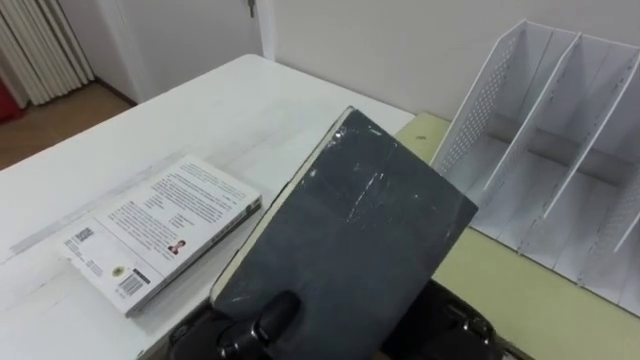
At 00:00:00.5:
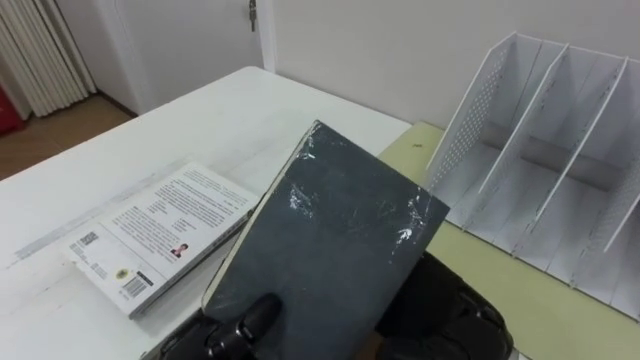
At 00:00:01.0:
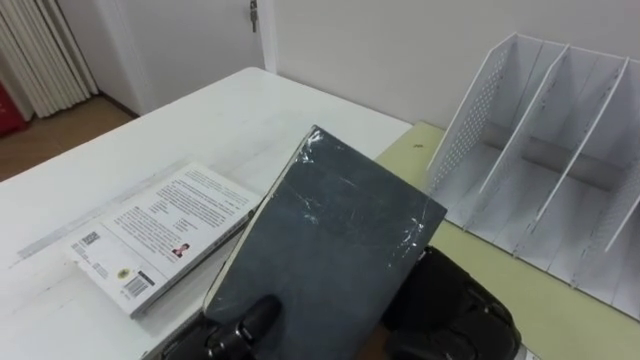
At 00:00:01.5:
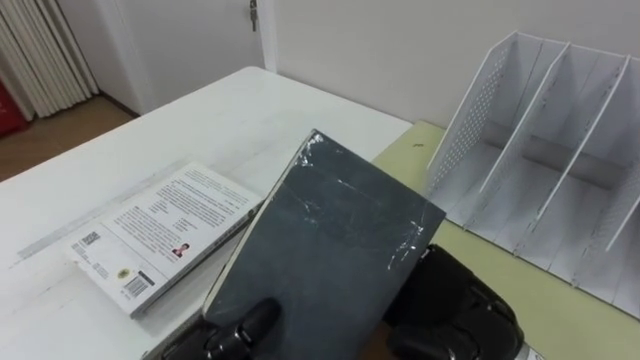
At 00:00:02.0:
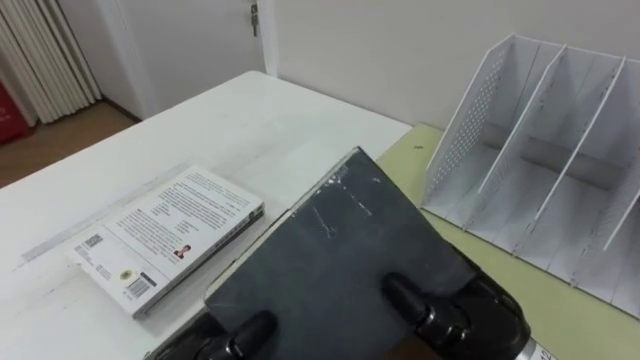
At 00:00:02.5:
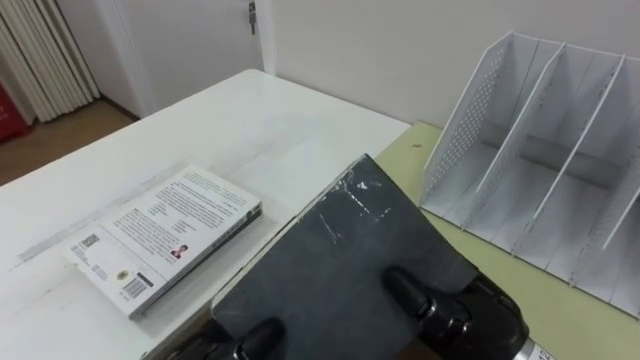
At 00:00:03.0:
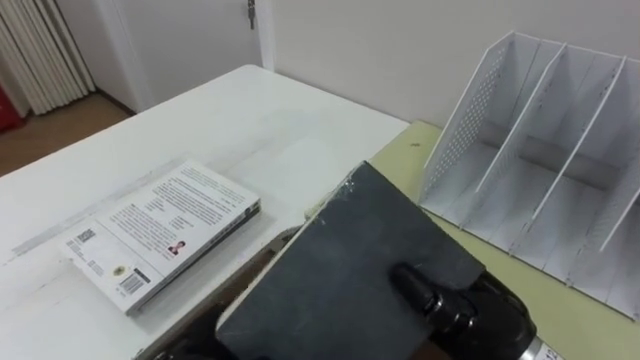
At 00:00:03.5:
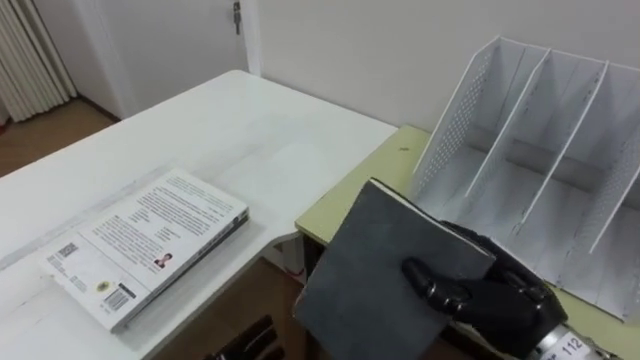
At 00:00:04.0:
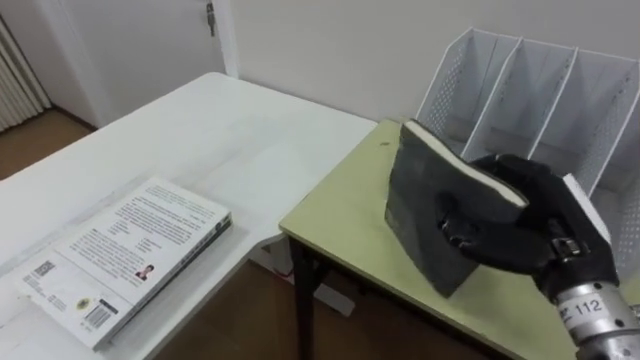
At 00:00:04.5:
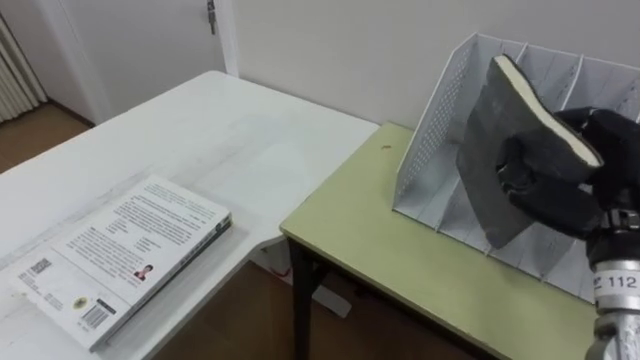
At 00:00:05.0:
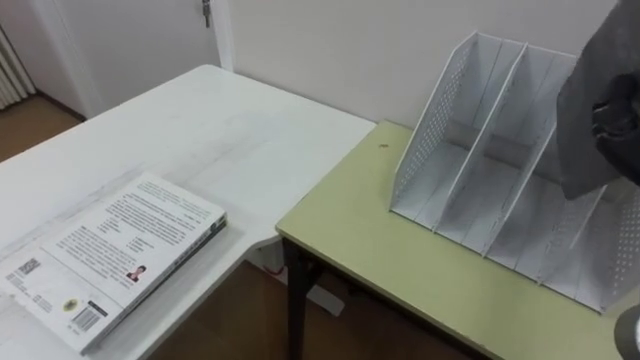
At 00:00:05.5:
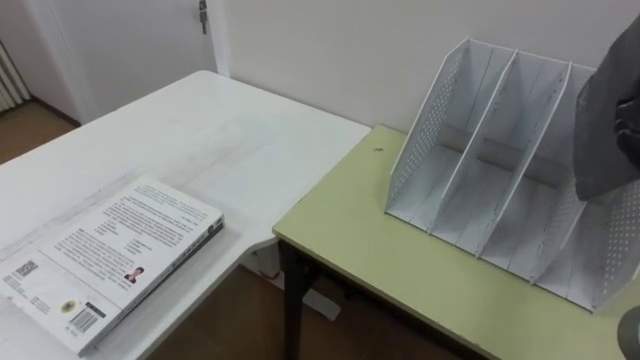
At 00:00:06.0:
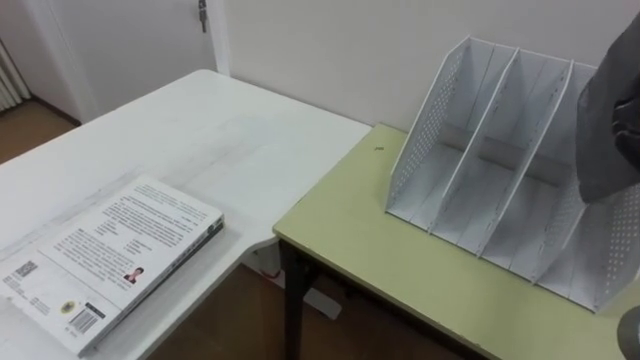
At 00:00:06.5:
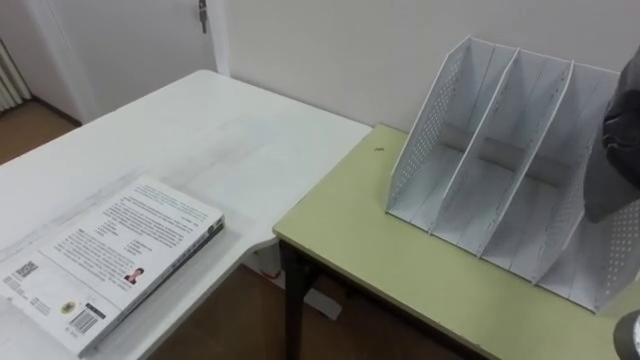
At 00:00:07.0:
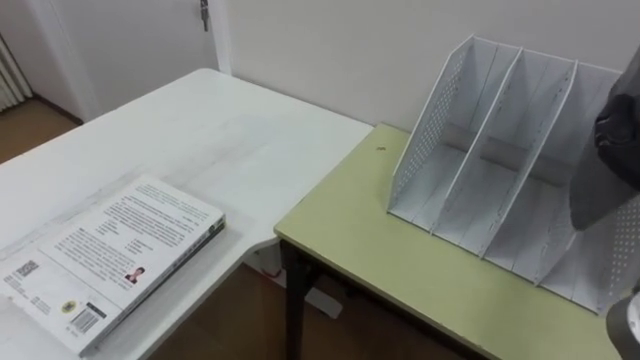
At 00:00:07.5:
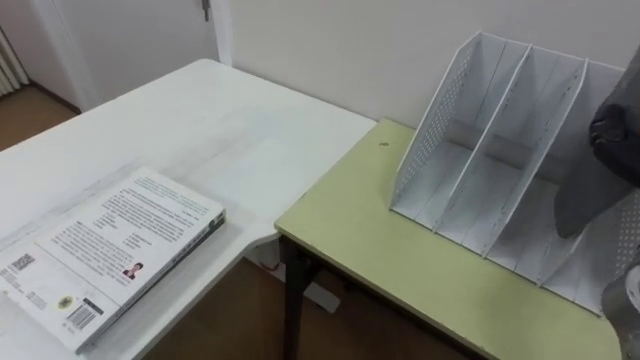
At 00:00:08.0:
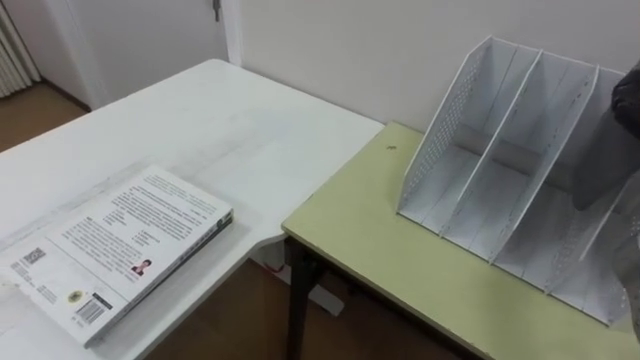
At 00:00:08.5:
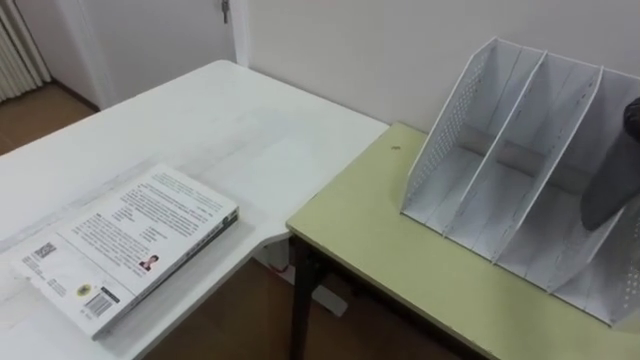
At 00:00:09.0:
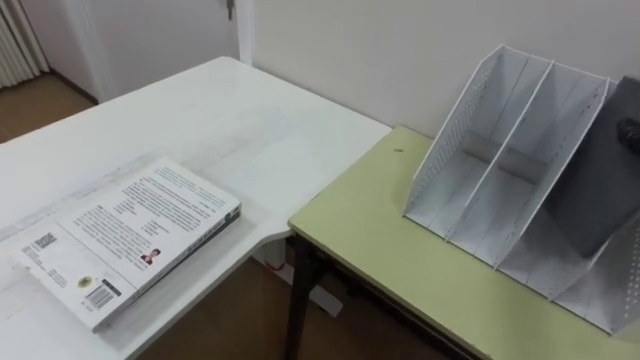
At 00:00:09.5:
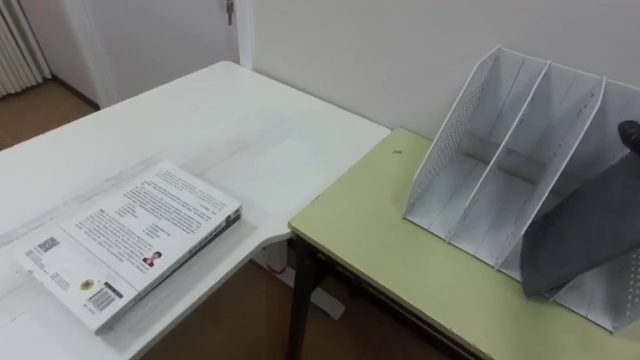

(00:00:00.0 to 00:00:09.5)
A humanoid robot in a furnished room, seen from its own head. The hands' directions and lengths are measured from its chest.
Task of the whole recording: Put the books on the table onto the bookshelf.
00:00:00.0 - 00:00:02.0: The right hand closes its fingers.
00:00:02.0 - 00:00:04.0: The right hand goes about 10 cm to the right.

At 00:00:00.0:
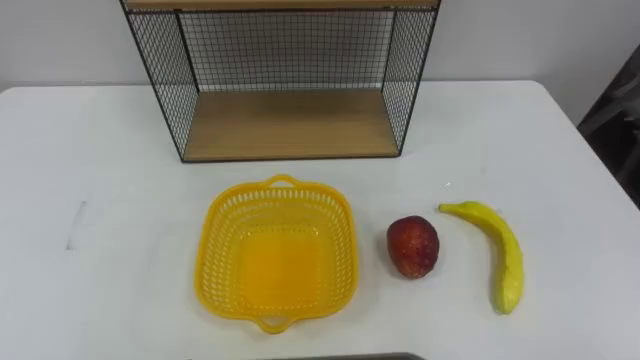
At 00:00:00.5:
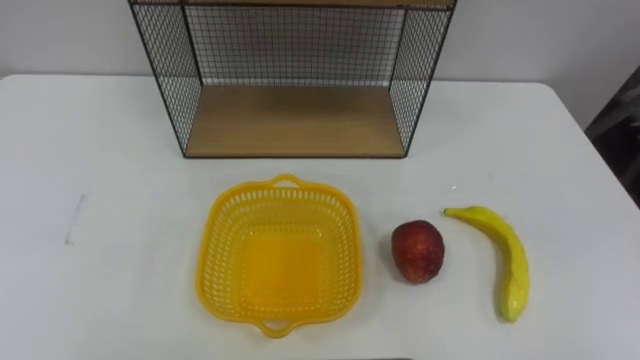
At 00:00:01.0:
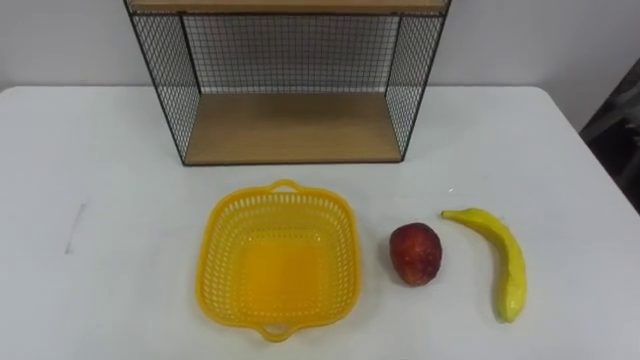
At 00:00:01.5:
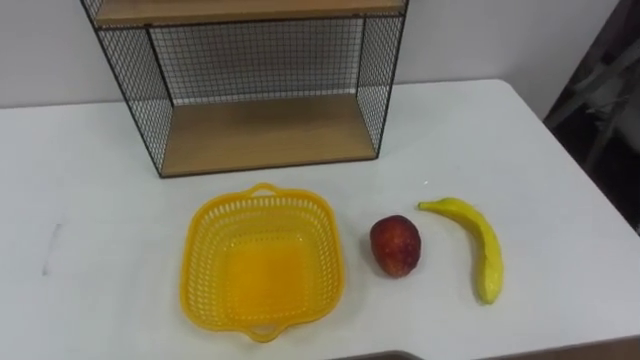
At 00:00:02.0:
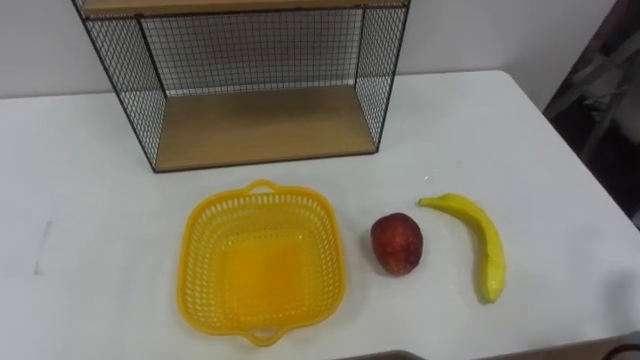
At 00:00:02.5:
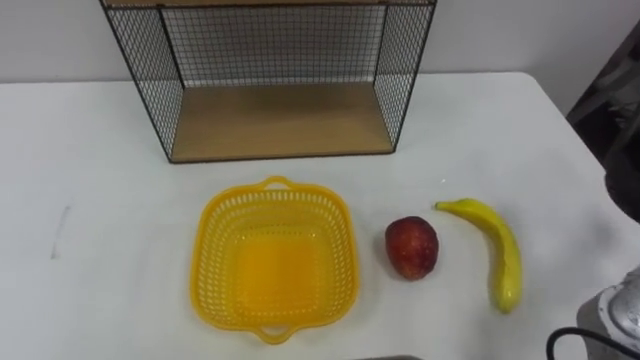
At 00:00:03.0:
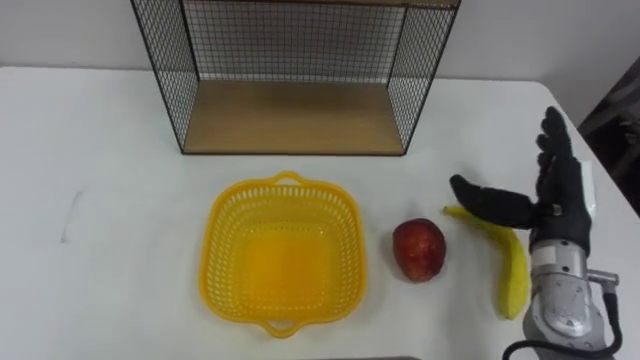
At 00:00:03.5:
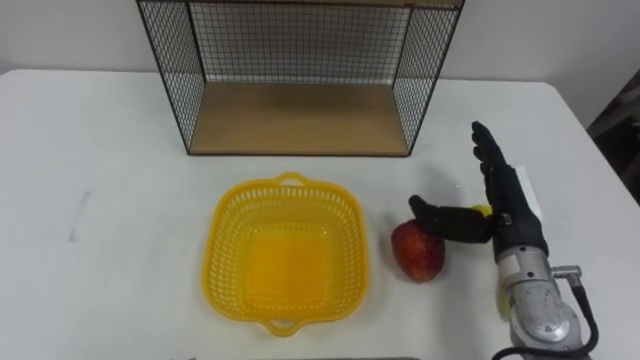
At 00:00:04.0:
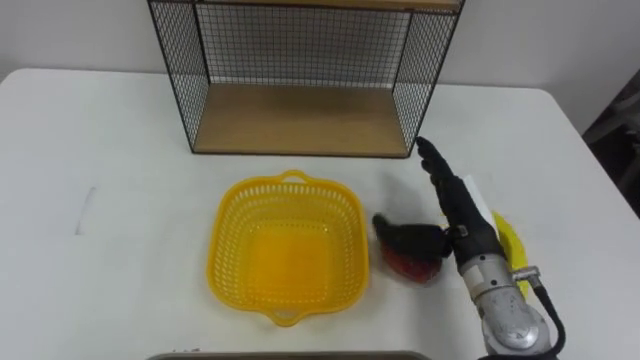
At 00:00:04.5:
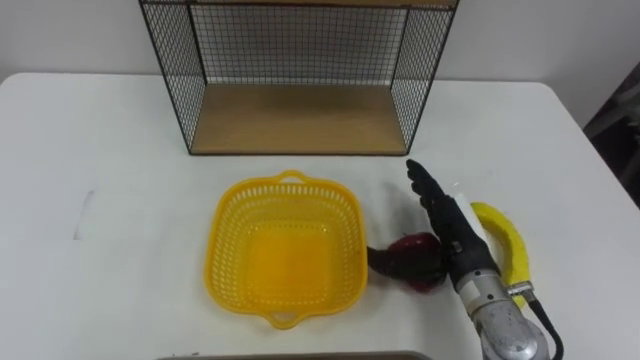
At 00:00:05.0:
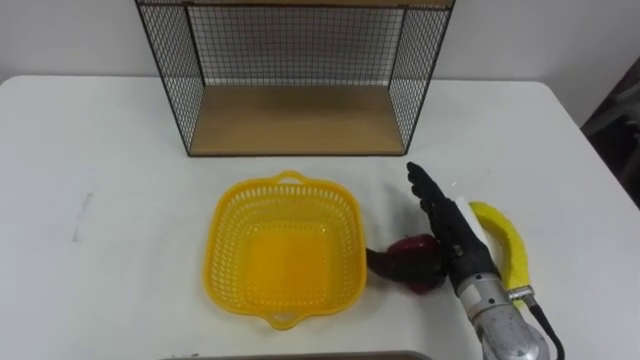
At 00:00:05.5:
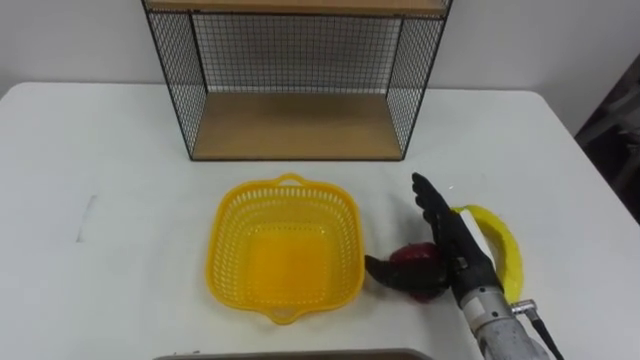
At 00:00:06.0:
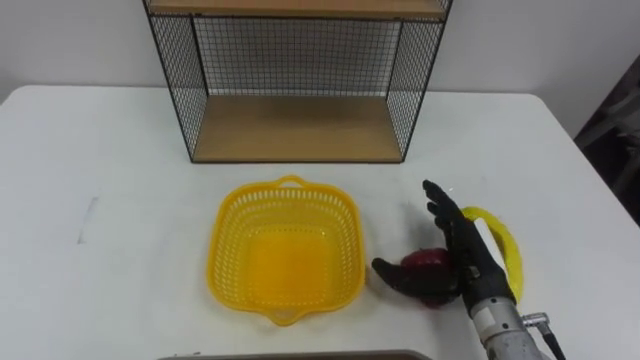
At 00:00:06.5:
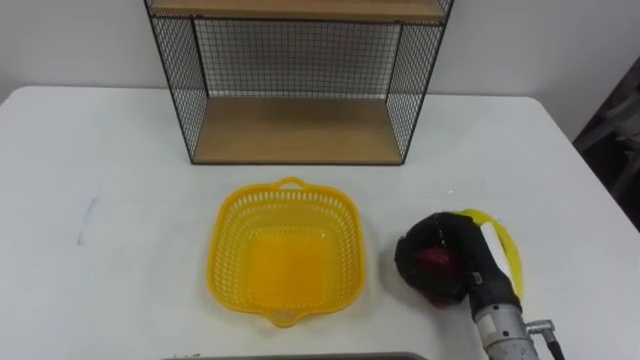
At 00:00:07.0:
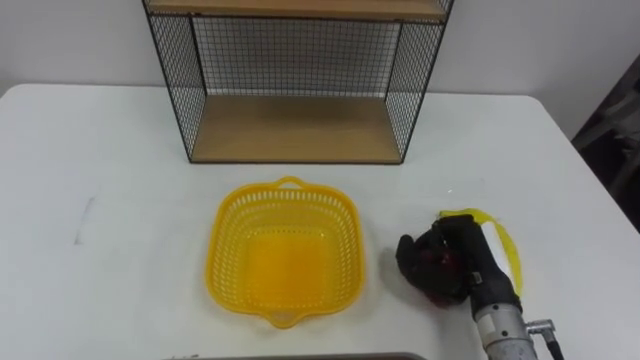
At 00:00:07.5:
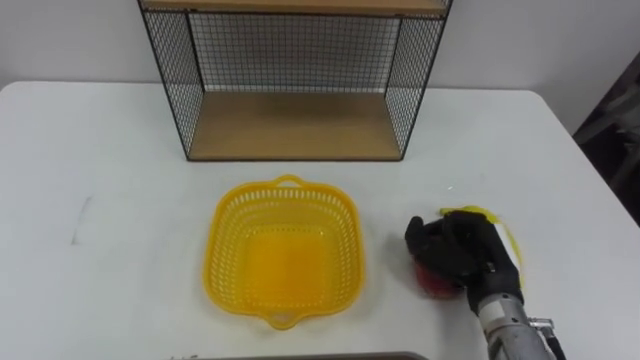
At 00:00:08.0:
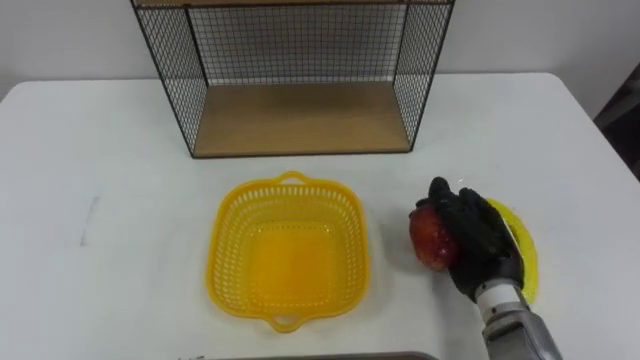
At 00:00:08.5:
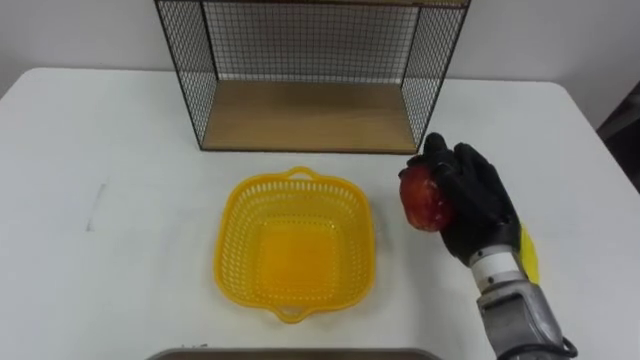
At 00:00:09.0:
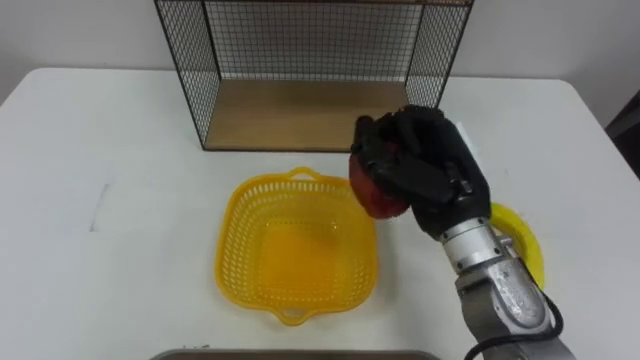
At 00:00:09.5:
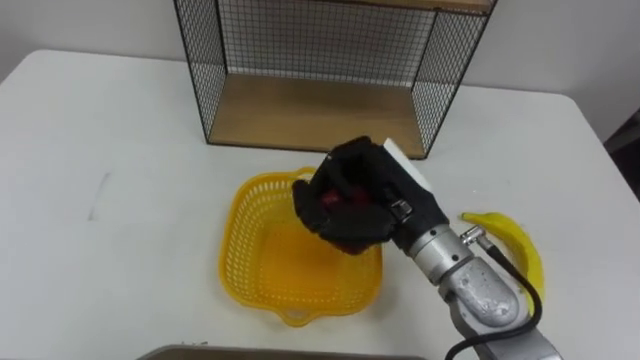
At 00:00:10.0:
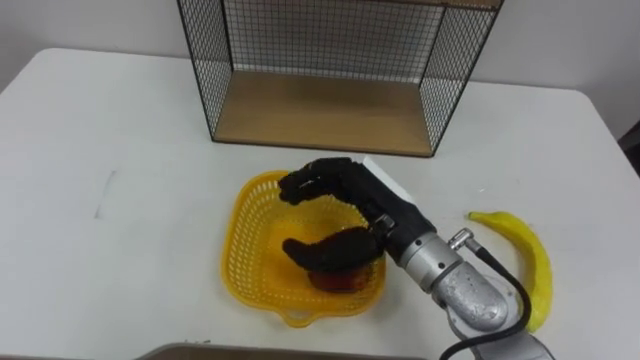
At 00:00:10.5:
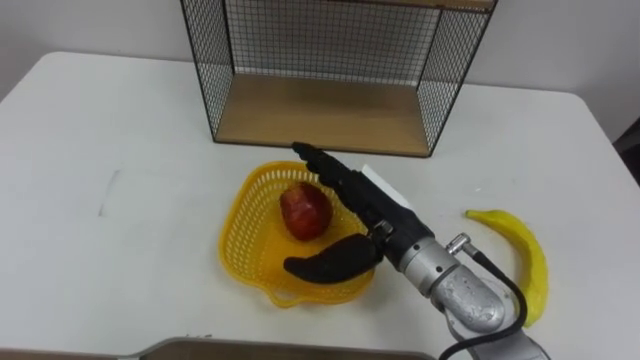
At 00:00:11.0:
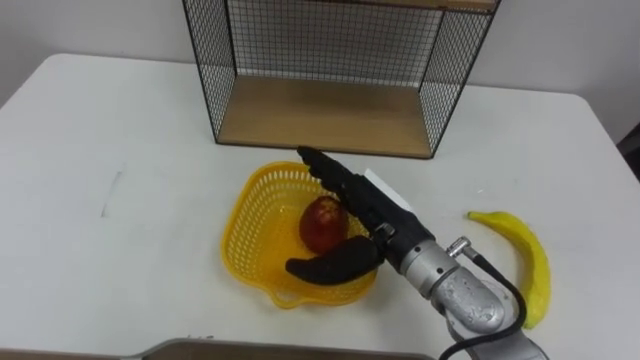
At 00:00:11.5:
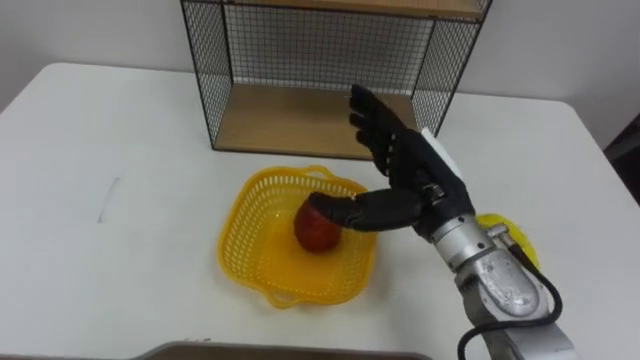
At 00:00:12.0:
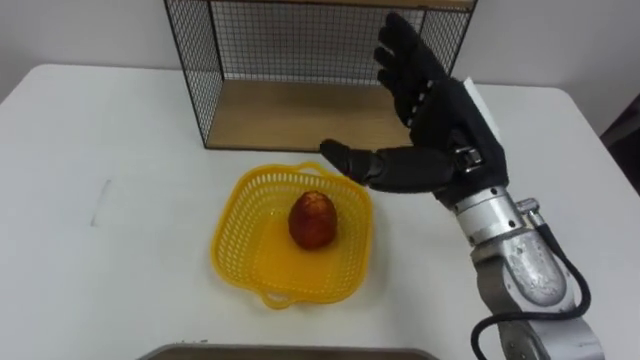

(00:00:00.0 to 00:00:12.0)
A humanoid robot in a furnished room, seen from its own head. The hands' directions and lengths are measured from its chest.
Task of the whole recording: Put the fruit on the table into the basket, then place the basket on the shelf.
00:00:04.0 - 00:00:06.0: The right hand changes place by about 5 cm.
00:00:06.0 - 00:00:08.0: The right hand closes.
00:00:08.0 - 00:00:10.0: The right hand heads to the left and upward, covering approximately 15 cm, and opens.
00:00:10.0 - 00:00:12.0: The right hand shifts roughly 10 cm upward and to the right.
